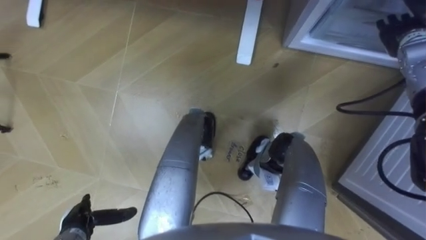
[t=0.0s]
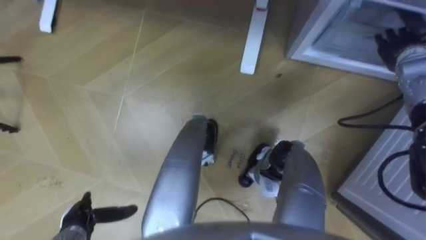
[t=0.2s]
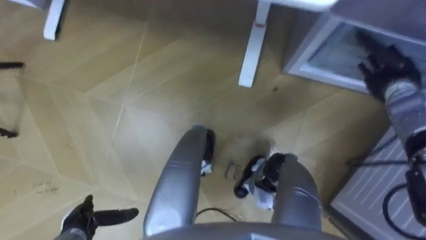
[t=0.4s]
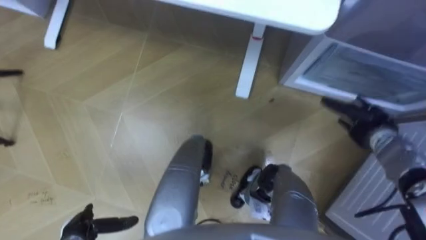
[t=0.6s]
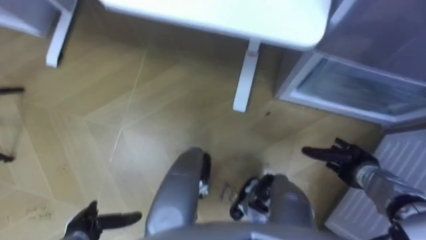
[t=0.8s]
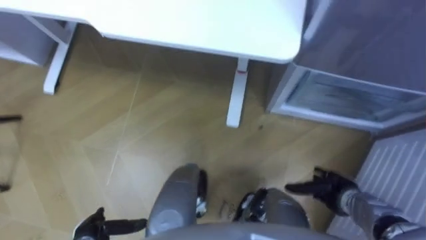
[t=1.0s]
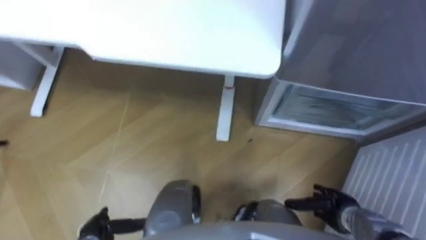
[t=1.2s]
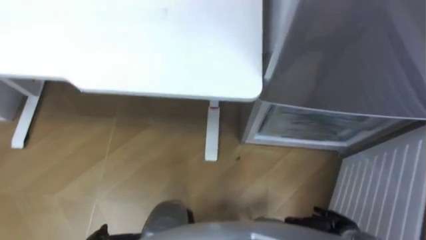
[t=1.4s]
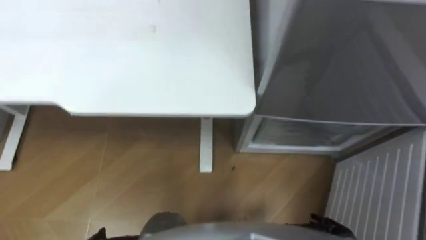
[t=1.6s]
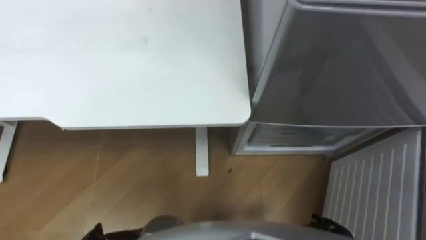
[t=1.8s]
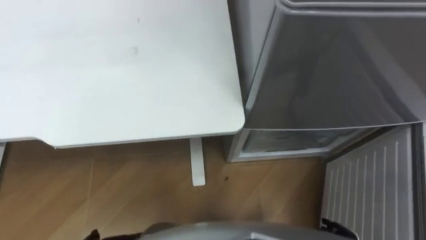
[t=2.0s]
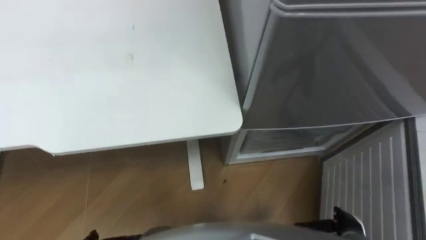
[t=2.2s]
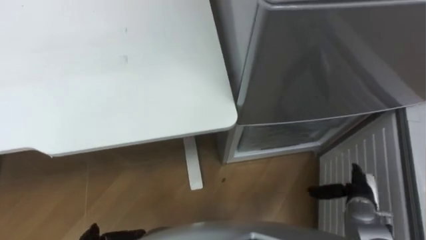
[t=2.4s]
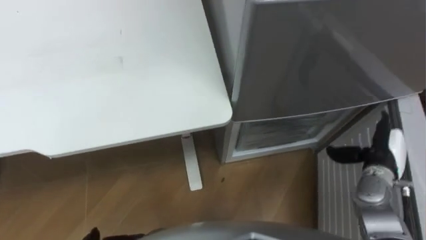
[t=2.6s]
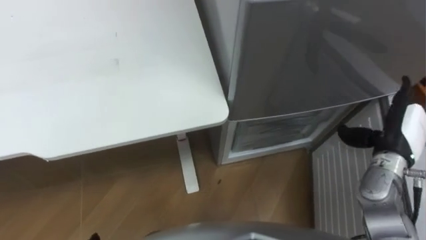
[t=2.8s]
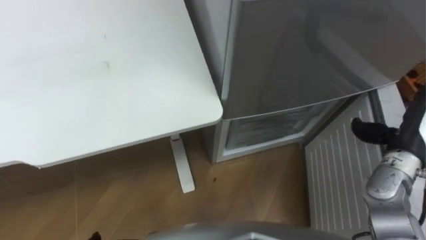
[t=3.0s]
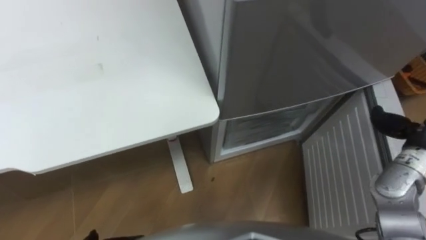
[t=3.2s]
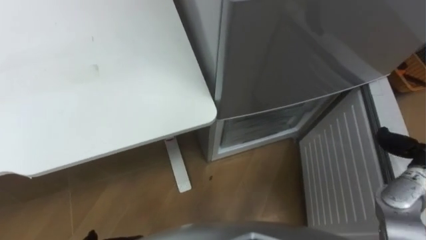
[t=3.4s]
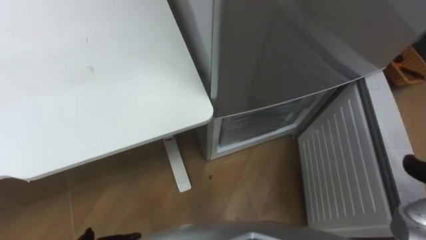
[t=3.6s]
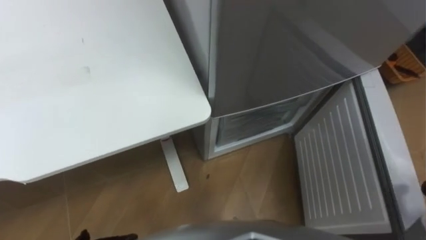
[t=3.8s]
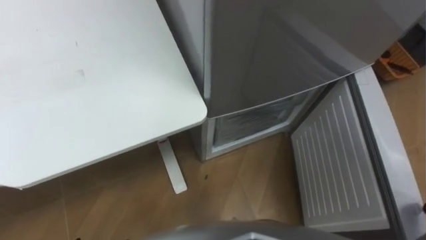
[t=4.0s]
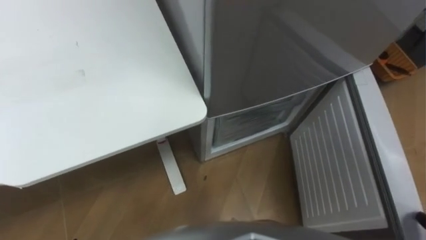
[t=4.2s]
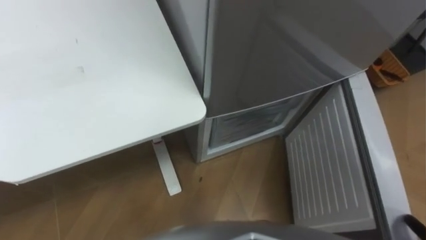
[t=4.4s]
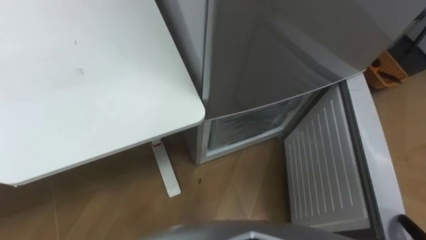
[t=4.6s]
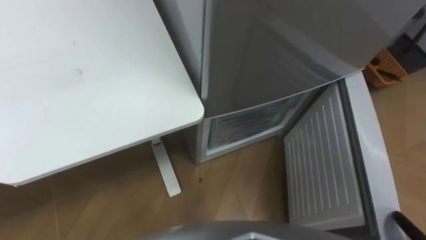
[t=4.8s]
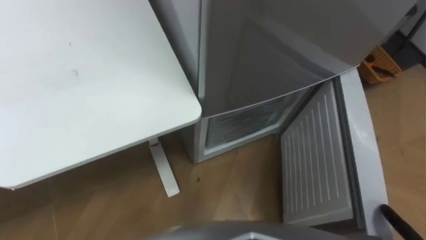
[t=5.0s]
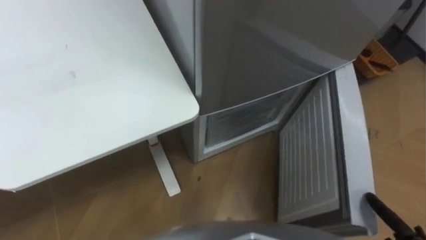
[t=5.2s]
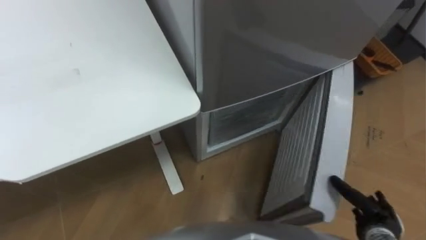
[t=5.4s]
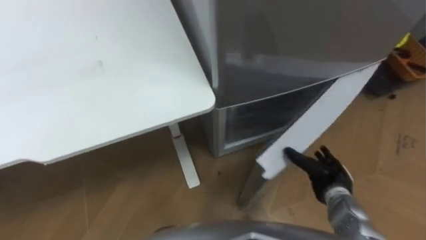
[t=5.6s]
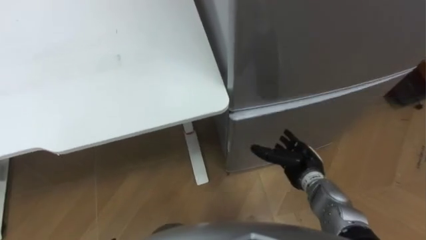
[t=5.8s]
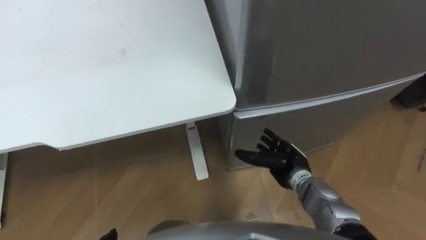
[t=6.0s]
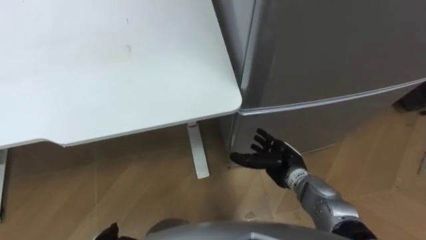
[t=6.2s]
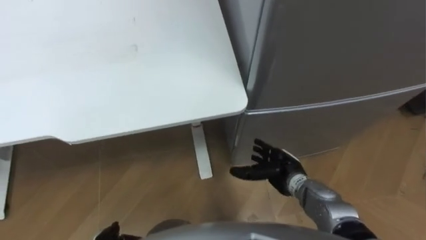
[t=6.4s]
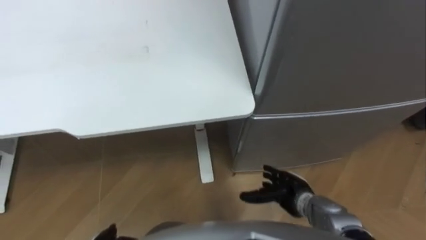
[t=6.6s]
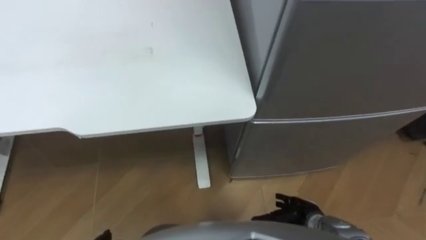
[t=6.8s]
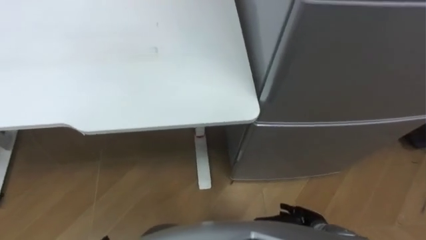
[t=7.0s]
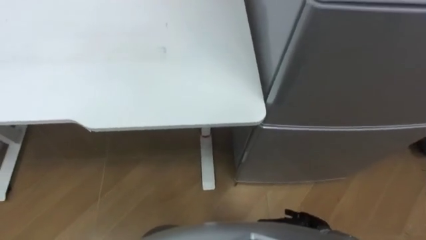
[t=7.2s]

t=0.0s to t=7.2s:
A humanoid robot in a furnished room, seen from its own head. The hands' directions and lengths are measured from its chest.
Task of the whole recording: Place the drink on the table on the bottom shelf of the refrigerator, then close the drawer and the refrigerator door.
t=0.0s to t=1.4s: The right hand moves backward and downward, some 40 cm.
t=5.8s to t=7.2s: The right hand shifts some 15 cm backward and downward.

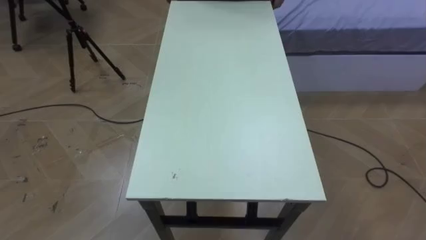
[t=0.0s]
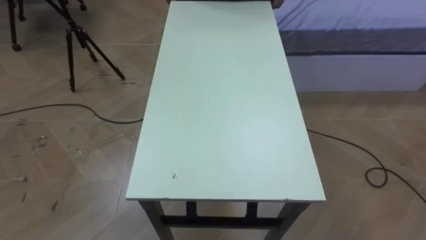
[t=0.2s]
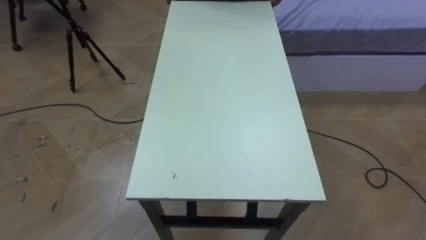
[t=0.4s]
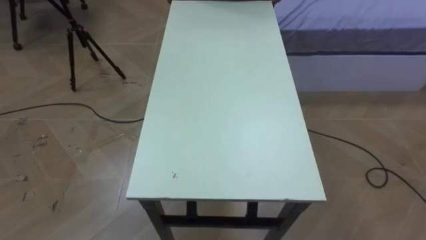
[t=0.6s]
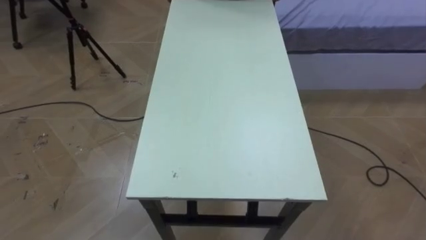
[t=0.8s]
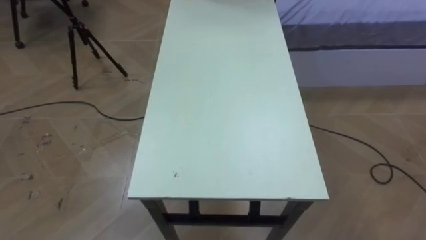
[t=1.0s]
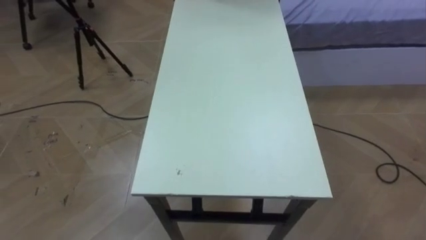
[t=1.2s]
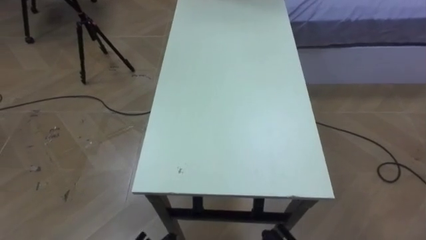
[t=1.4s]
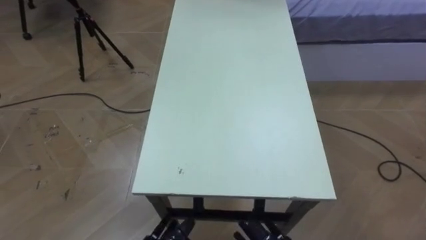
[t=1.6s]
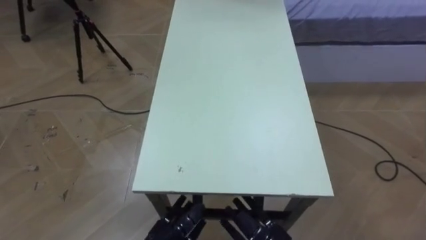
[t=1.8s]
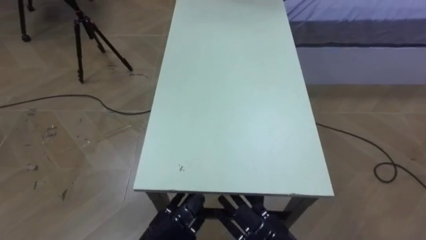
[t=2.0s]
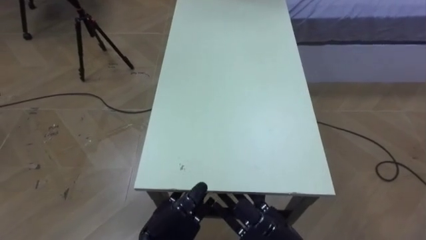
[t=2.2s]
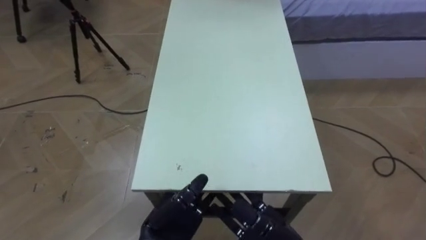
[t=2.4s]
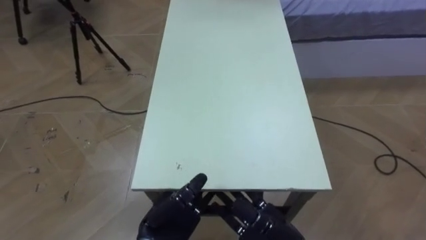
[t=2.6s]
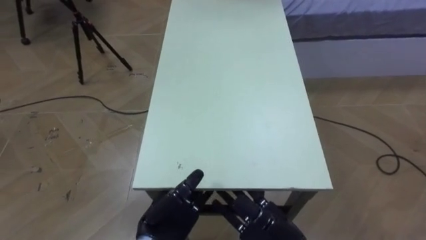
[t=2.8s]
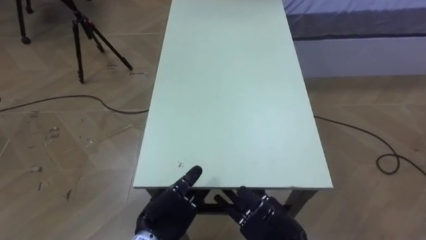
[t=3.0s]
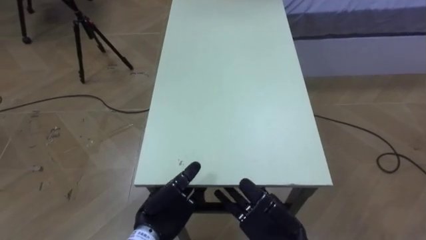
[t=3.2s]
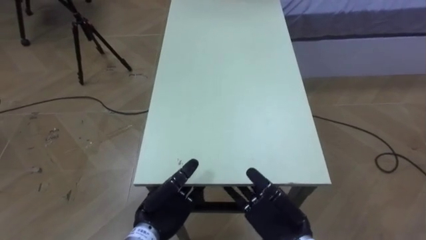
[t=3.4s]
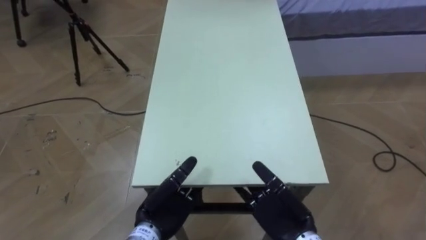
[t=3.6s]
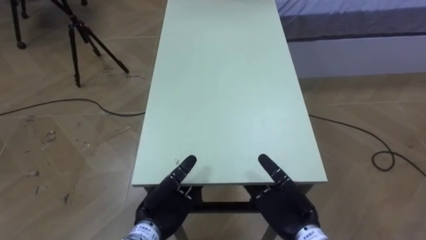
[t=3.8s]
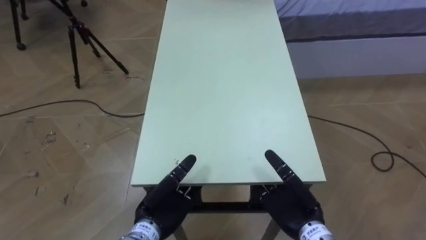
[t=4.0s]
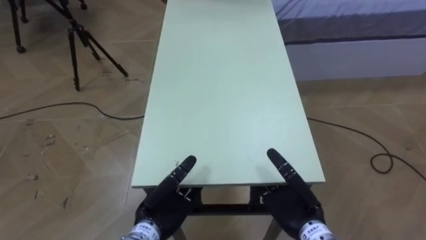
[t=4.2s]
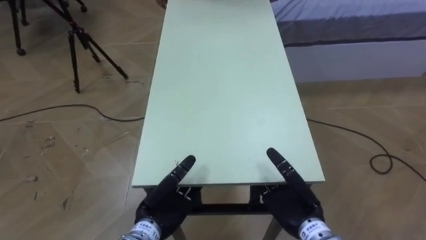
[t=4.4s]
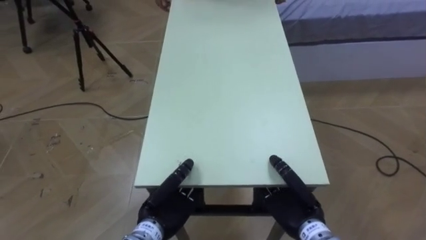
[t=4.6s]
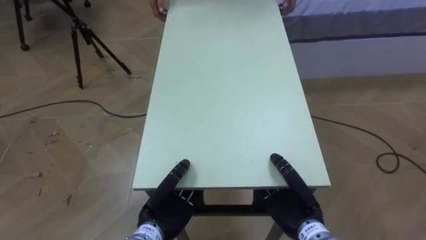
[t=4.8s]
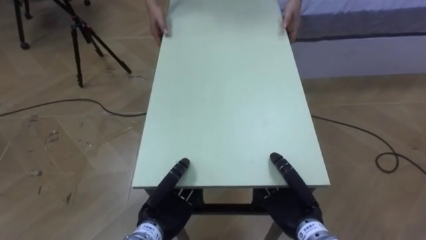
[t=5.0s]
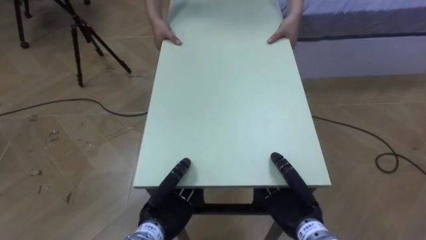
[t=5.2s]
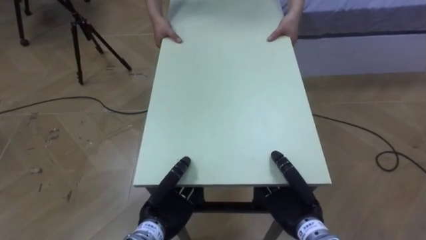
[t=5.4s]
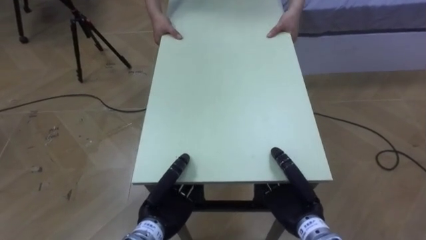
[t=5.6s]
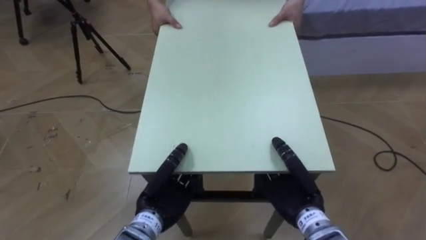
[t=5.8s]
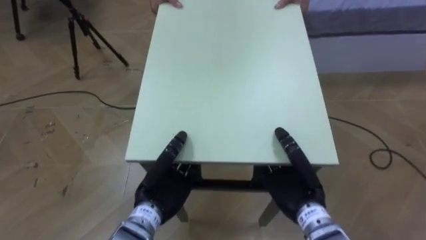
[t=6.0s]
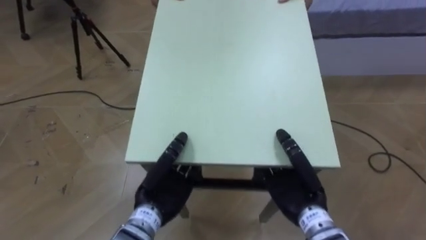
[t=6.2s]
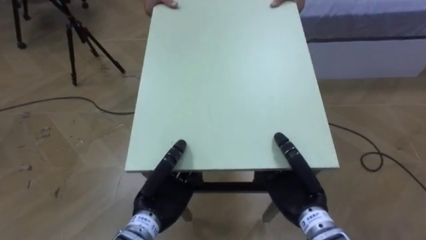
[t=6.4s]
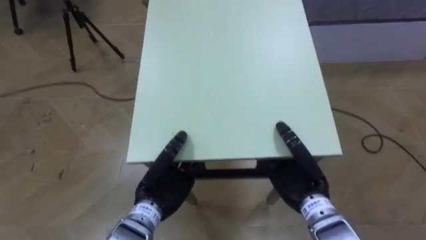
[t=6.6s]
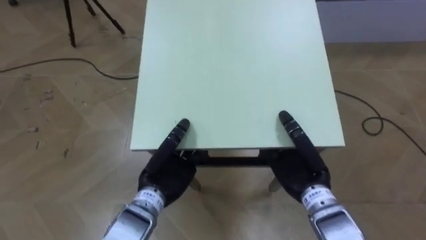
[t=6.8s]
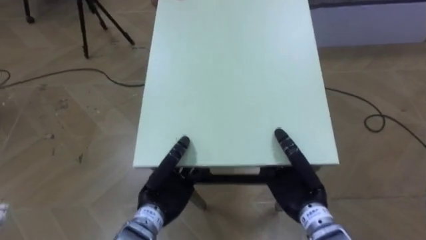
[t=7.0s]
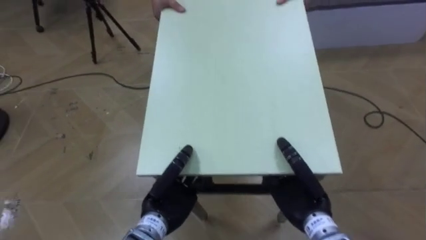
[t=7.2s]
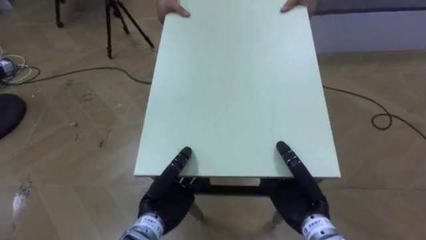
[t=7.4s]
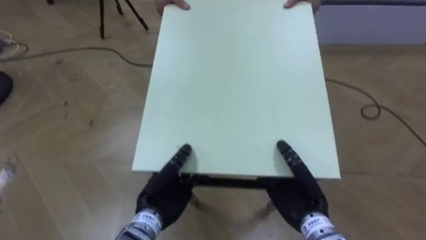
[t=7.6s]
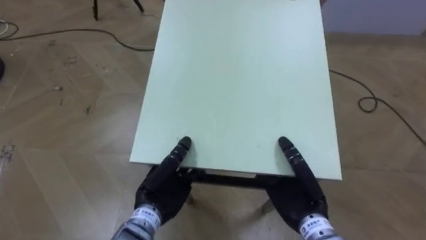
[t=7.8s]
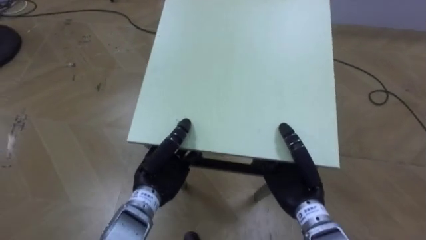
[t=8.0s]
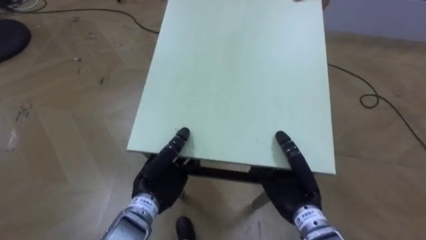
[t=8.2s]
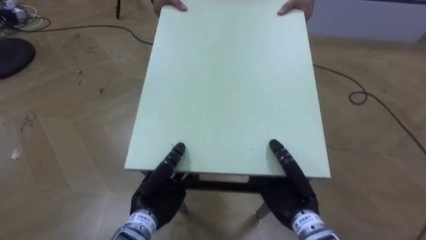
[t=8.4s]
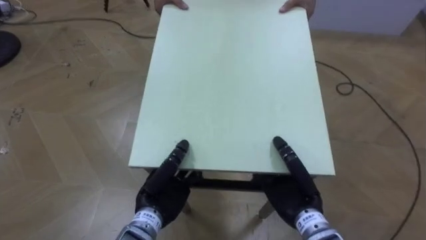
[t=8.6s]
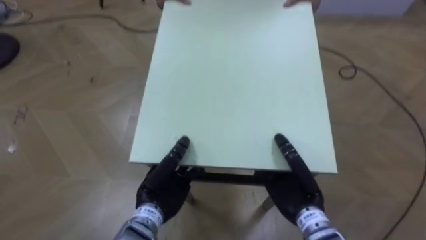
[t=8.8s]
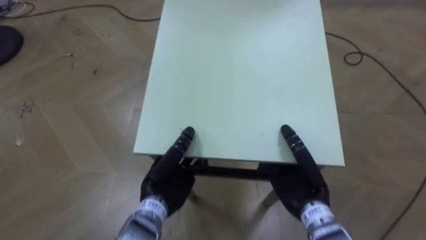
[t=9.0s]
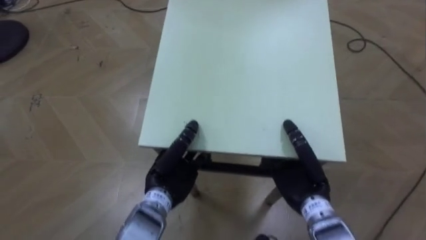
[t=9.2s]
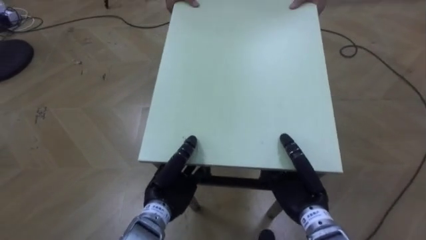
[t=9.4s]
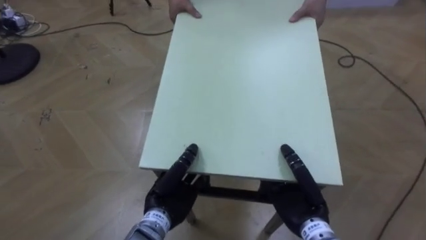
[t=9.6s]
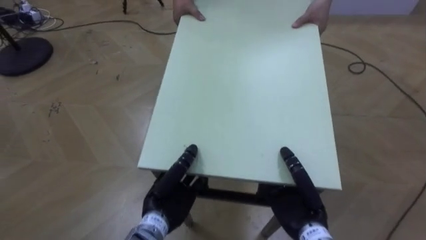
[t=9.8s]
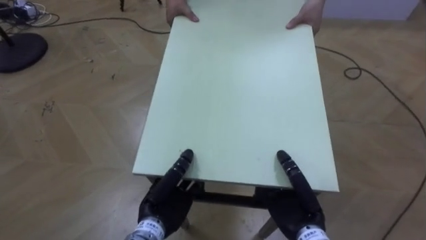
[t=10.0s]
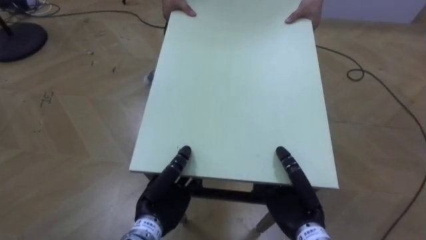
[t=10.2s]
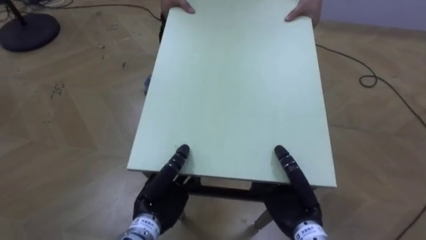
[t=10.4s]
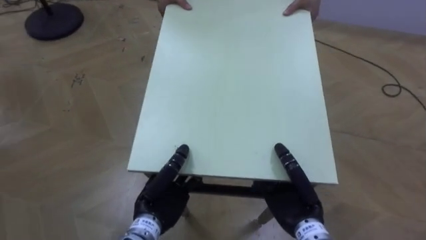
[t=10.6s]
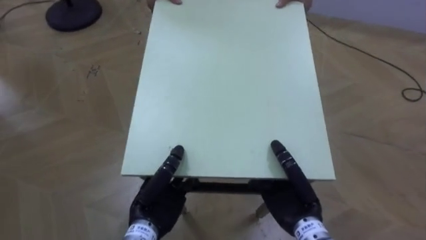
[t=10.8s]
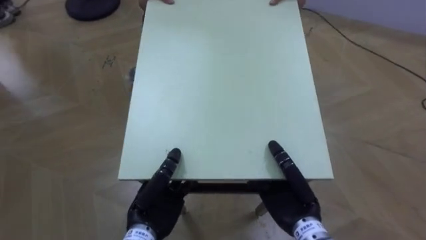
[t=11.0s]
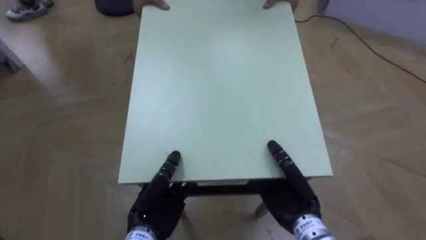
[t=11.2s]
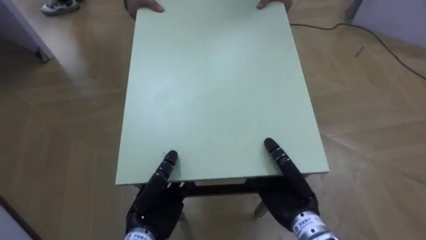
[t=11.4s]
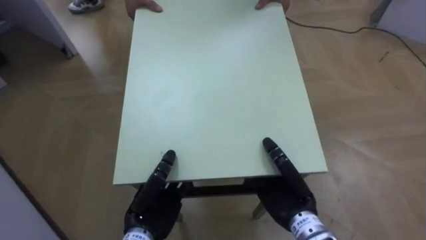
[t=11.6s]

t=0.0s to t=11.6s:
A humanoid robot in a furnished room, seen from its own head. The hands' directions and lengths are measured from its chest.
Task of the whole recording: Move the table to the back left with someone.
t=2.8s to t=4.4s: The right hand heads forward, covering approximately 5 cm.
t=4.4s to t=5.8s: The left hand closes its fingers. Meanwhile the right hand closes its fingers.
t=10.2s to t=11.6s: The robot faces about 25 degrees further to its left.
